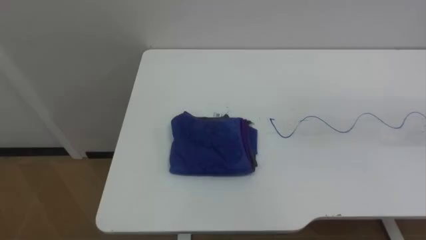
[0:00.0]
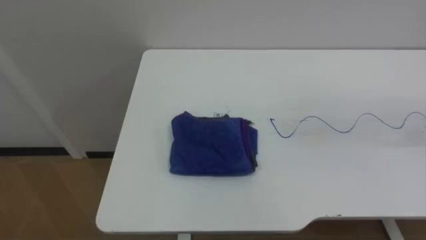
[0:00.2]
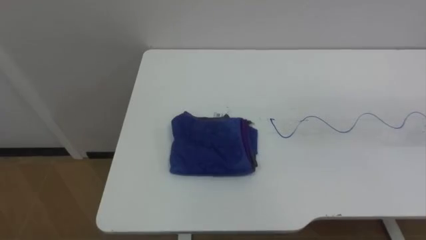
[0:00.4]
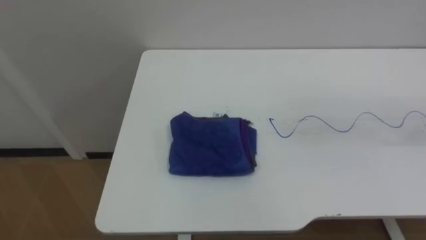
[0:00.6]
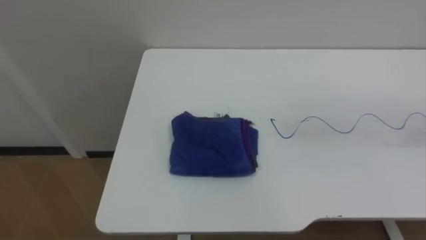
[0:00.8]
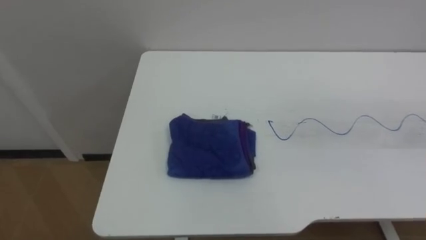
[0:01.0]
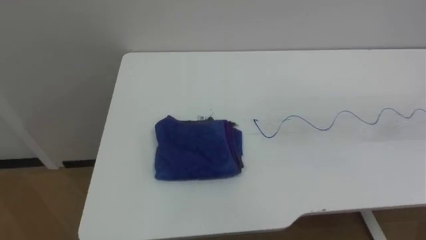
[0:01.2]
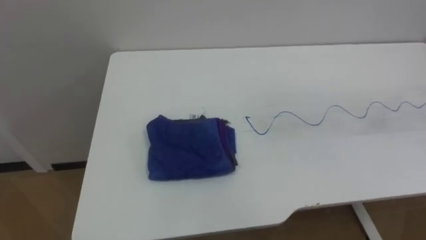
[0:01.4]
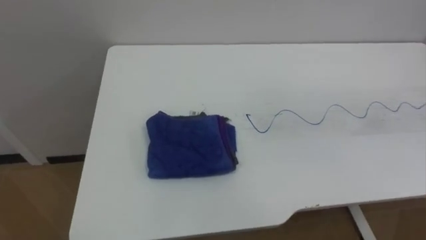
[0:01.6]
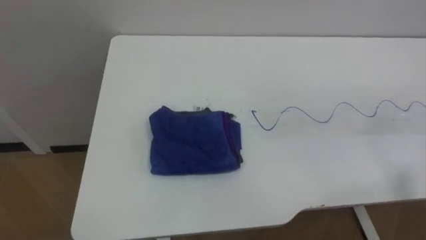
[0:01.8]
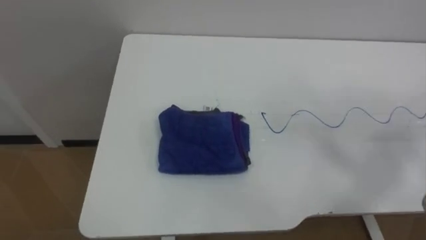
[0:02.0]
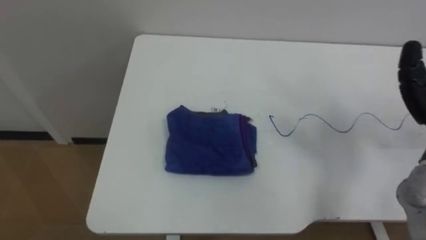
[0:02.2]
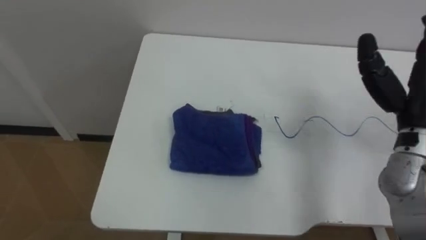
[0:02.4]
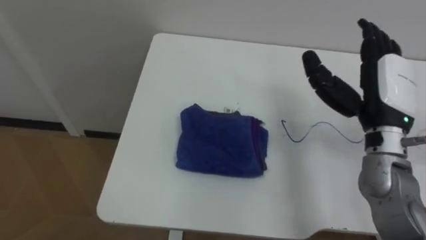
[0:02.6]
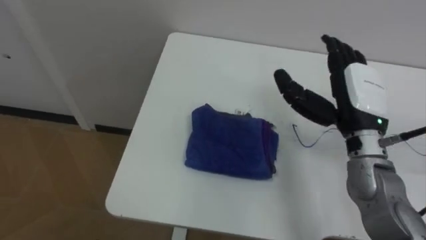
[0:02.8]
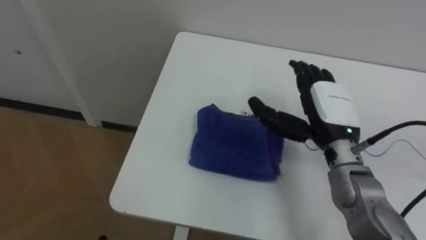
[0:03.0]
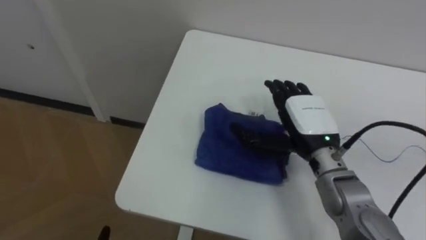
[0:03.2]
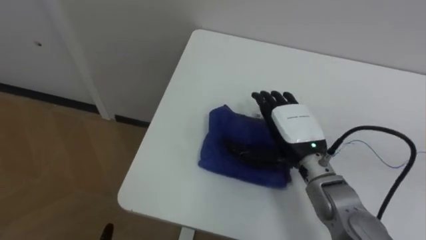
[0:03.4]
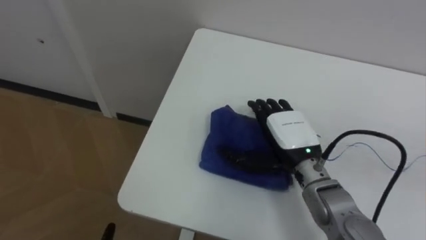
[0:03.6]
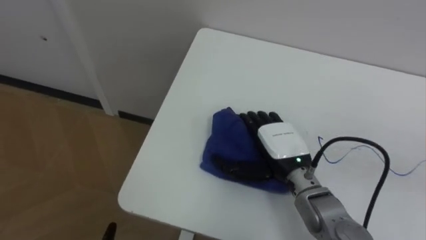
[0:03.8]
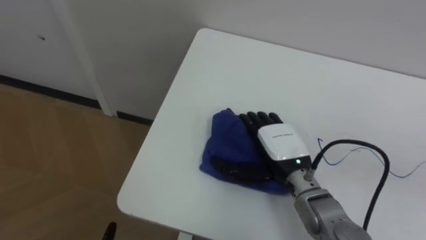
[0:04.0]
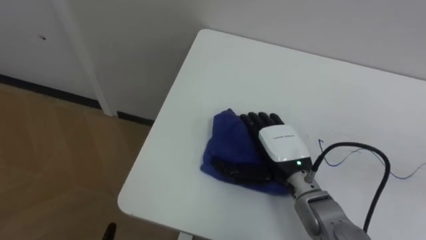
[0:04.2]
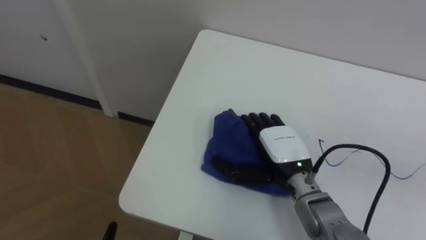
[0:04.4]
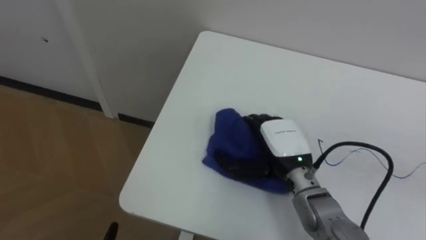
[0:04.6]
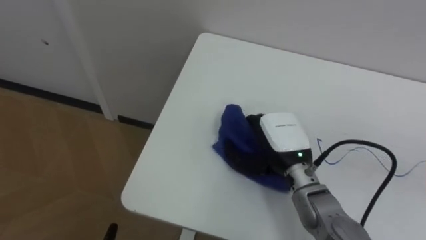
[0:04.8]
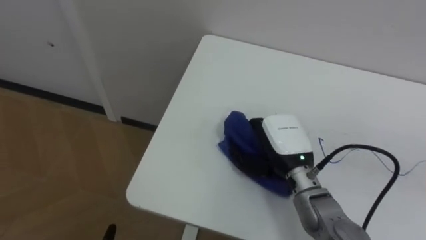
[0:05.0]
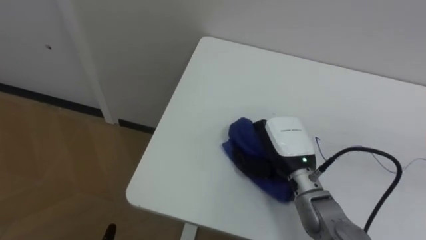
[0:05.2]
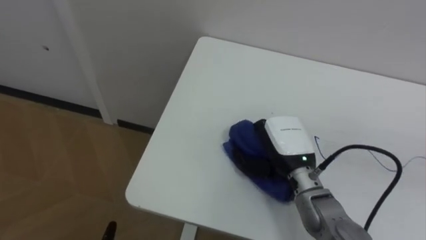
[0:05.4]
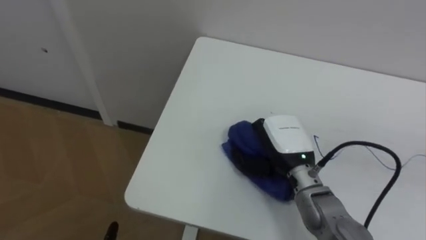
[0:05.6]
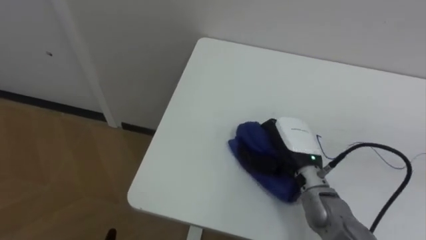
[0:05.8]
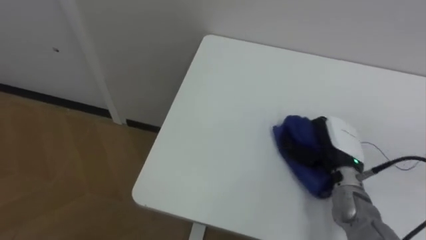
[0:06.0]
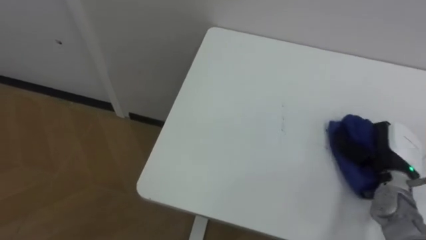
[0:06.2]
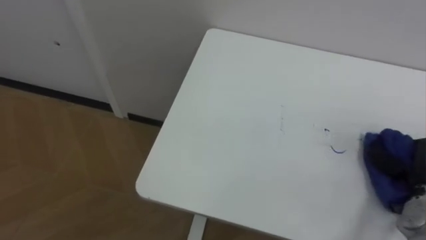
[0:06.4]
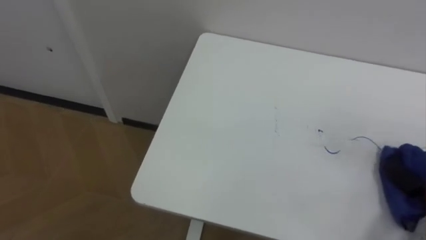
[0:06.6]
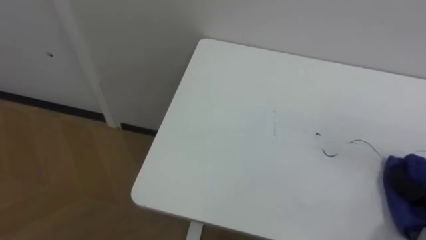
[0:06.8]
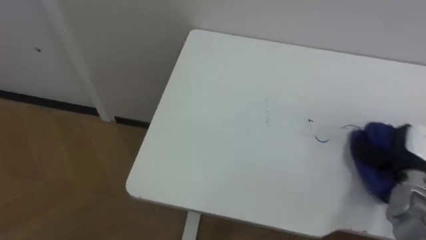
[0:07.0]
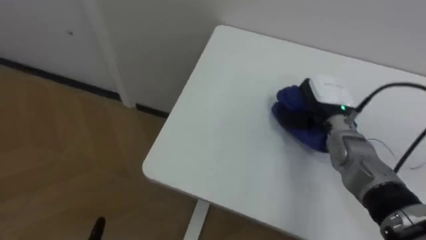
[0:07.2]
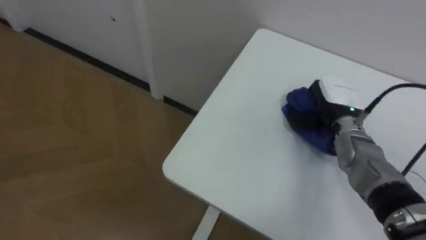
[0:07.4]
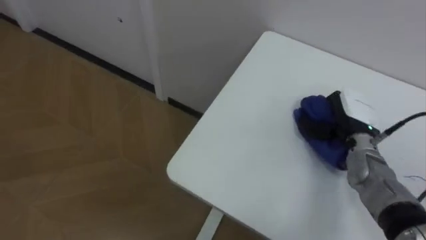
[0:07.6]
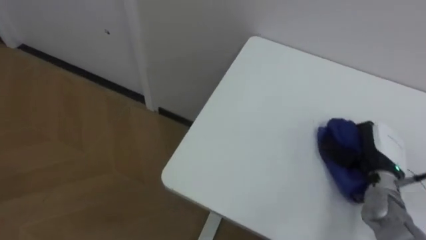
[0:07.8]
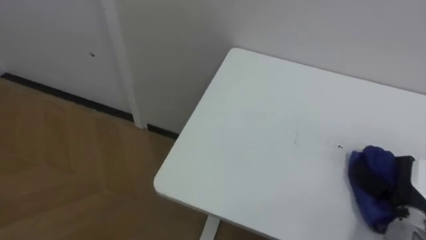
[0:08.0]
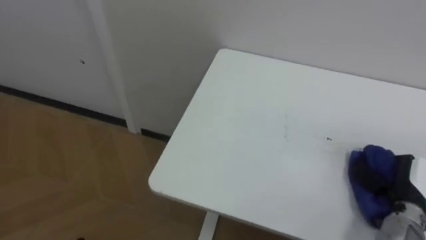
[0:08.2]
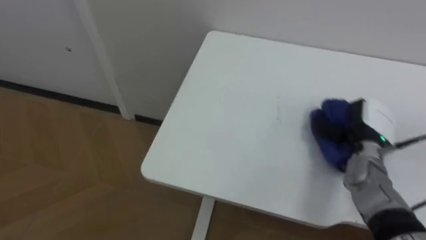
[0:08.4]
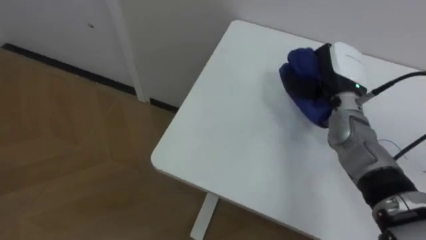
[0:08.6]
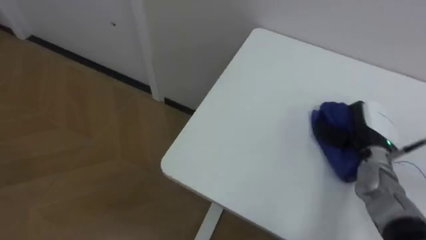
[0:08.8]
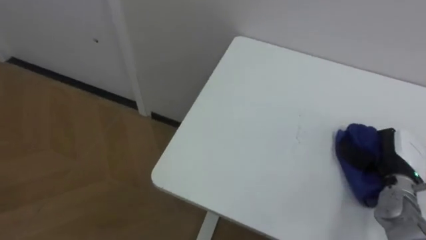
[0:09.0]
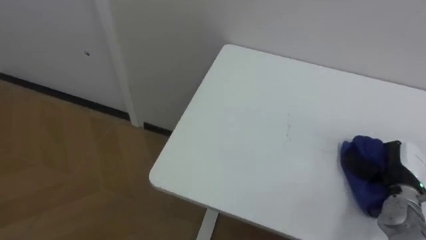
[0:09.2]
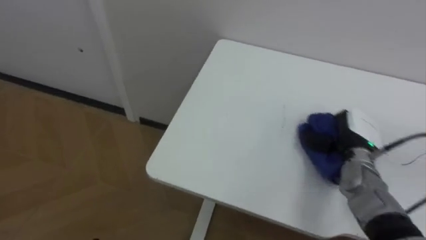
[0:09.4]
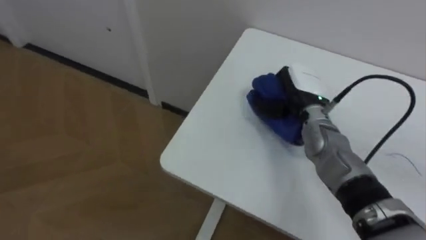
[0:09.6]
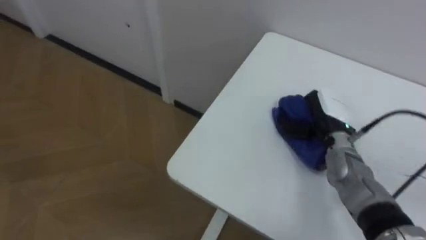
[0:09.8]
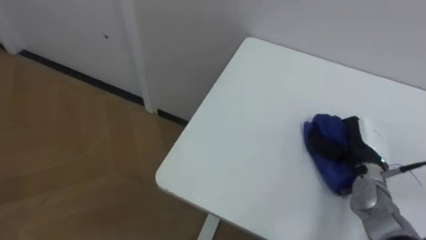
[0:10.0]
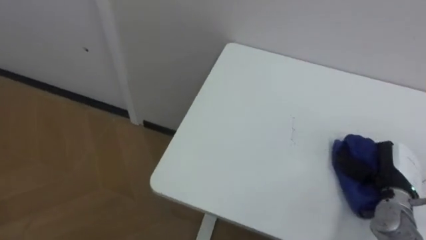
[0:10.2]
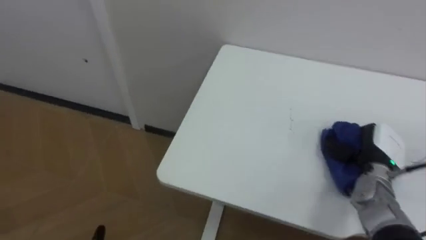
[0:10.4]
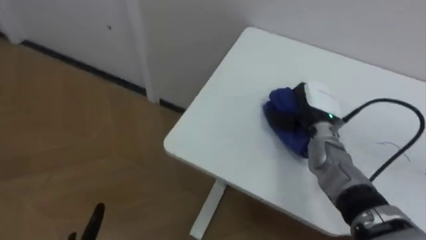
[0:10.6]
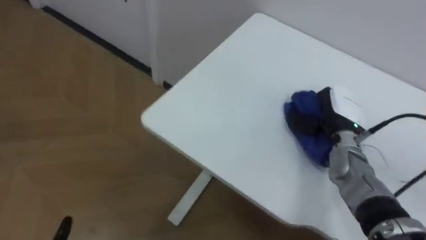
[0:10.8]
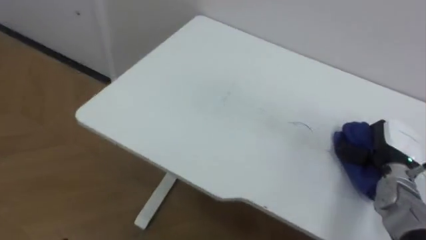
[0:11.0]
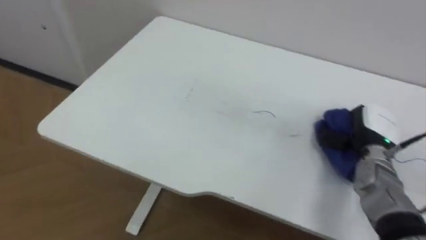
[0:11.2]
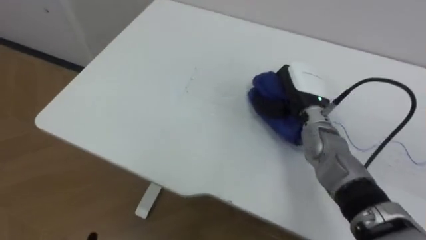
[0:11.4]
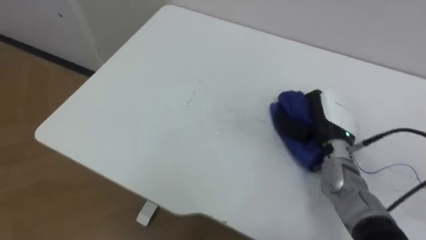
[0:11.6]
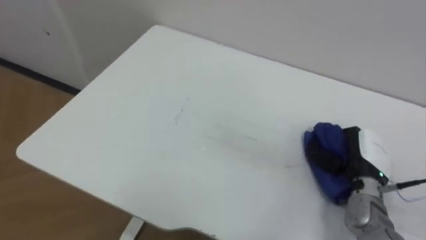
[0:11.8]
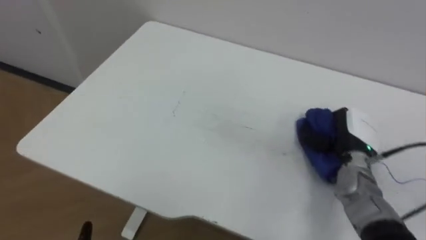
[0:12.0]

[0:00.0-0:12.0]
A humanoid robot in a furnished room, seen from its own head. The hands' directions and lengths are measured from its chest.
Task of the whole recording: Wipe the blue pen marks off the table with the rag.
0:03.0 to 0:04.4: The right hand heads downward and to the left, covering approximately 10 cm.
0:04.4 to 0:06.0: The right hand is displaced to the right by roughly 10 cm, and closes its fingers.
0:07.6 to 0:09.0: The right hand moves forward and backward over about 20 cm, changing direction 2 times.
0:09.0 to 0:10.4: The right hand goes to the left and returns, about 20 cm each way.
0:10.4 to 0:12.0: The right hand swings left and right, about 15 cm each way, with 3 reversals.

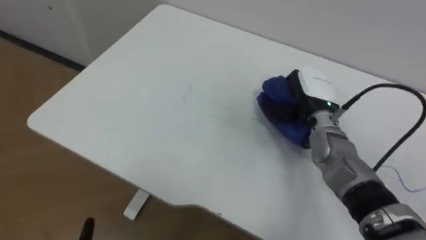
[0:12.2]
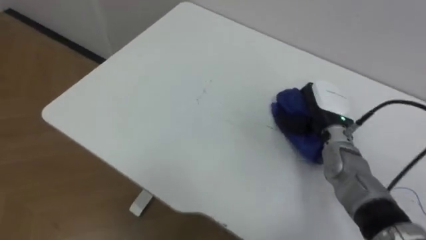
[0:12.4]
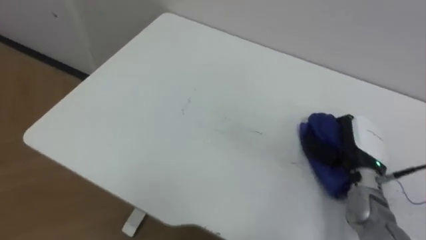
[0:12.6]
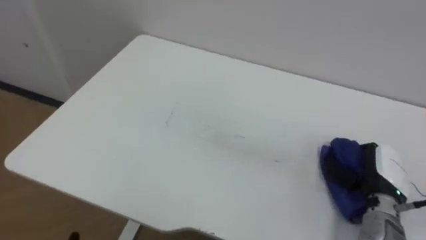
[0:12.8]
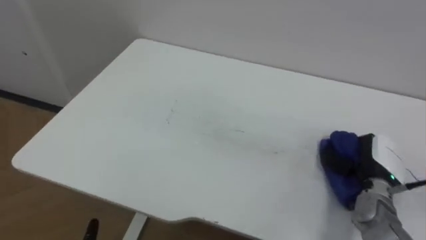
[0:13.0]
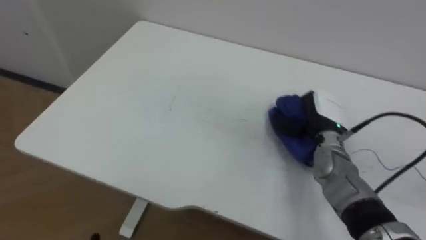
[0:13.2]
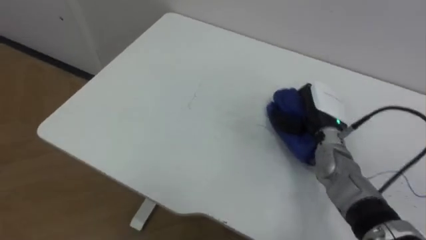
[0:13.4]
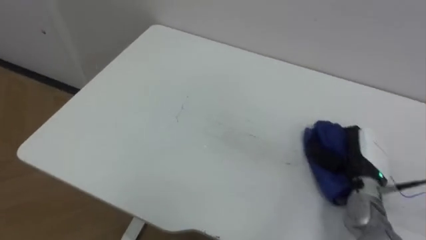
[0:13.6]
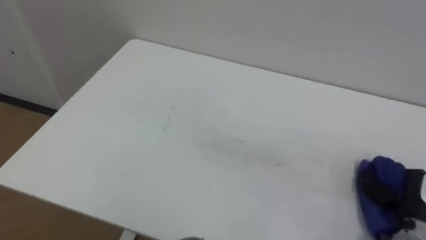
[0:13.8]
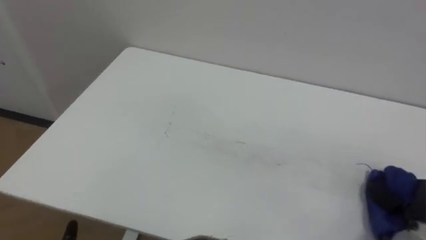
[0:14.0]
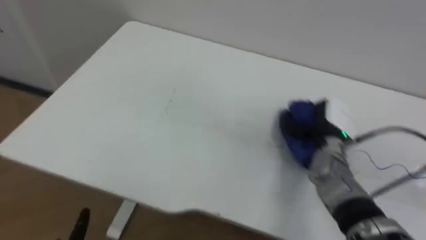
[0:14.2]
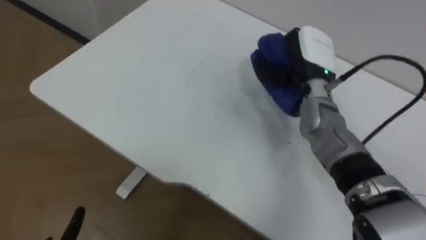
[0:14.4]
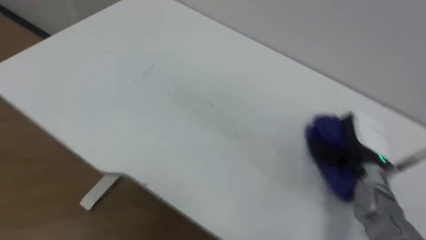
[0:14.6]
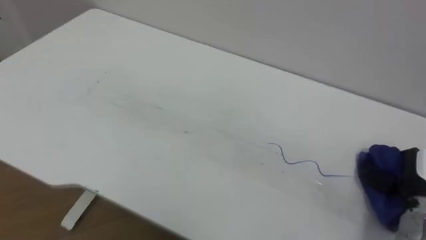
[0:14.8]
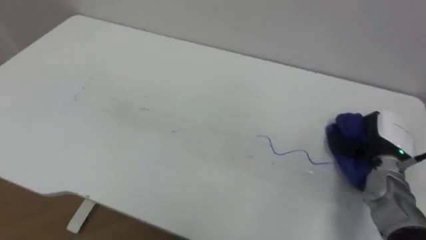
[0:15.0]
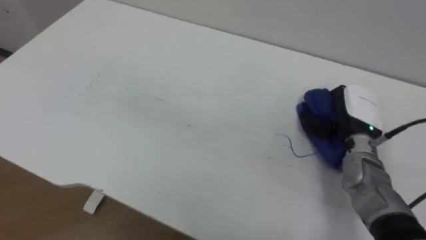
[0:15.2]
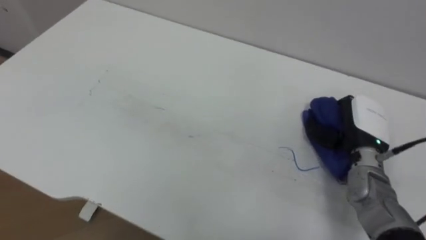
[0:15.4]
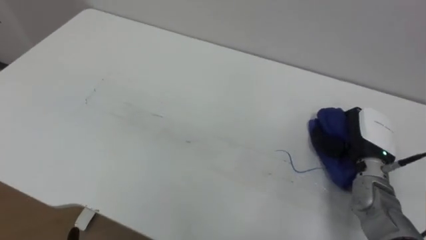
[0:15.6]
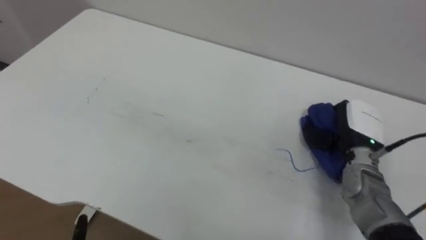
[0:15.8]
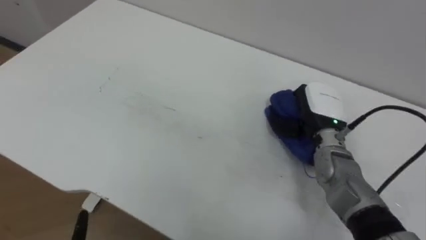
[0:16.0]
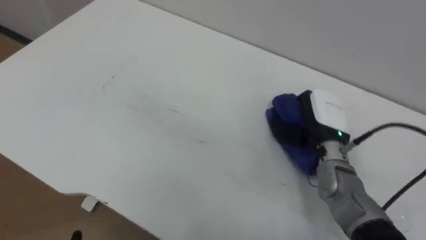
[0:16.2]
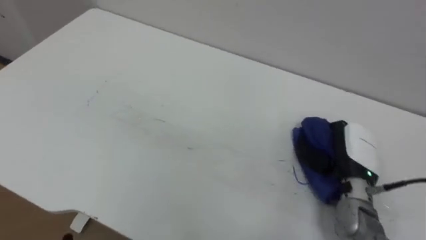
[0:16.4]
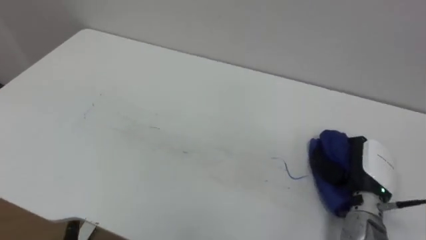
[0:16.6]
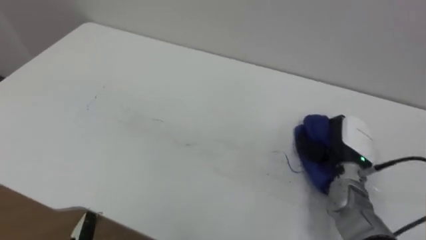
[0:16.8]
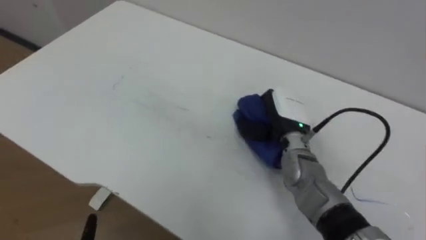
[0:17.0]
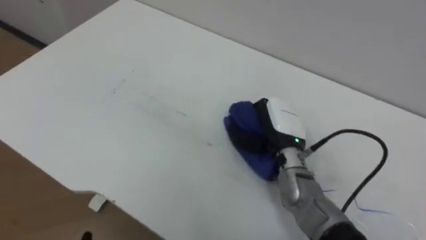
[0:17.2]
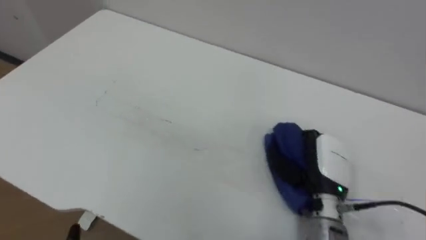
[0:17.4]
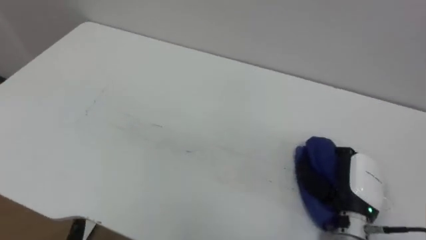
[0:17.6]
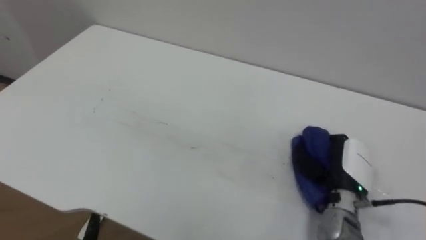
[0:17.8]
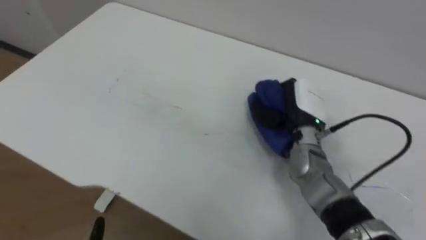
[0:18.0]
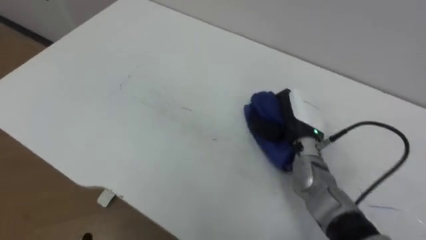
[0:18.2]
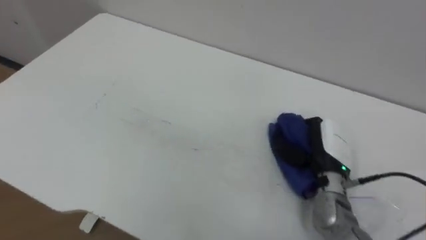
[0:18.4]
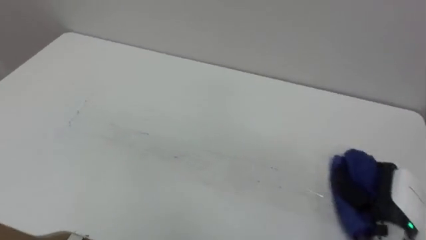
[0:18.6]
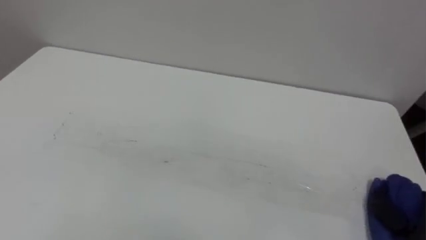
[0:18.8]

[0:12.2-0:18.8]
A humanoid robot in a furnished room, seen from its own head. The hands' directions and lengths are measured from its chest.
Task of the whole recording: Wipe the blue pen marks off the table with the rag.
0:12.2 to 0:13.8: The right hand swings forward and backward, about 20 cm each way, with 2 reversals.
0:13.8 to 0:15.4: The right hand goes forward and backward, about 25 cm each way, reversing 2 times.
0:15.4 to 0:17.2: The right hand goes left and right, roughly 15 cm each way, reversing 2 times.
0:17.2 to 0:18.8: The right hand swings left and right, approximately 25 cm each way, with 2 reversals.
